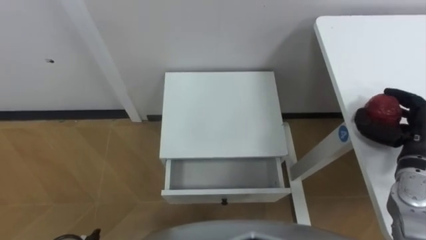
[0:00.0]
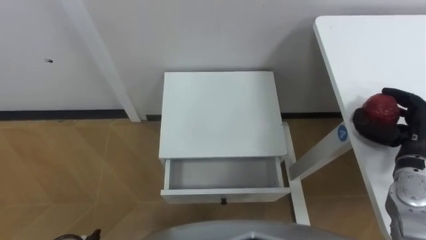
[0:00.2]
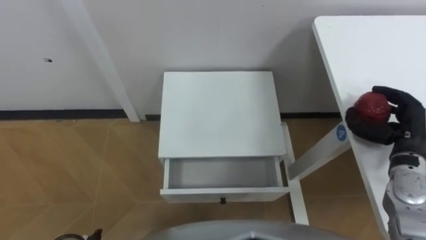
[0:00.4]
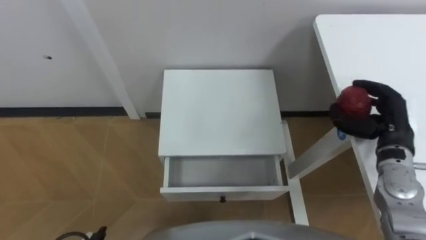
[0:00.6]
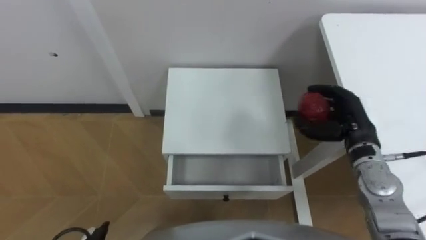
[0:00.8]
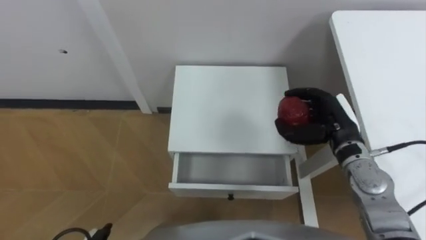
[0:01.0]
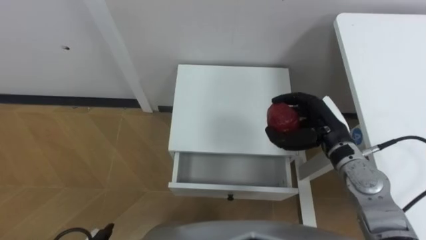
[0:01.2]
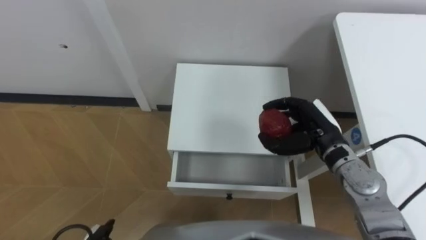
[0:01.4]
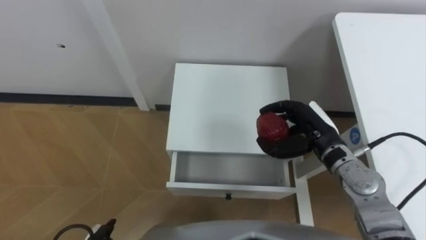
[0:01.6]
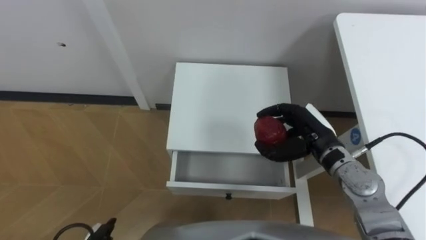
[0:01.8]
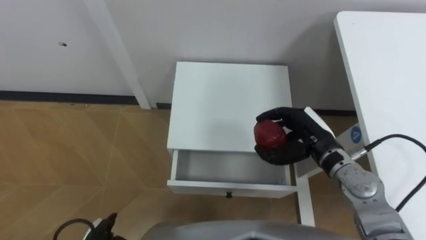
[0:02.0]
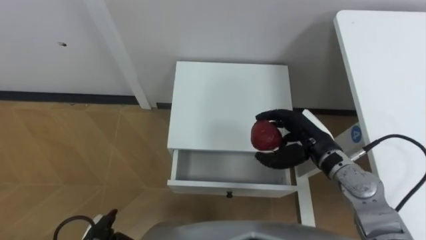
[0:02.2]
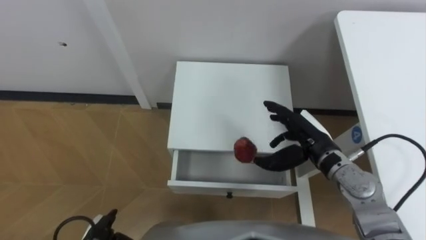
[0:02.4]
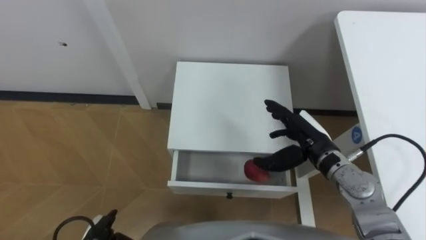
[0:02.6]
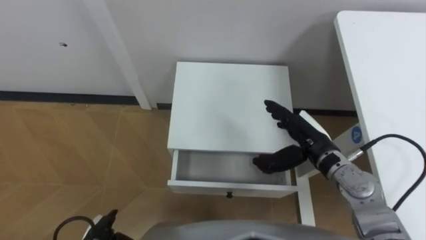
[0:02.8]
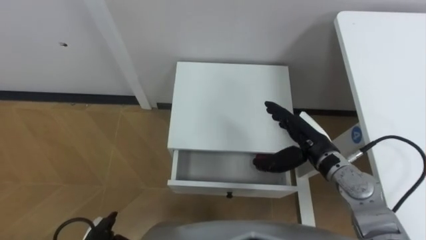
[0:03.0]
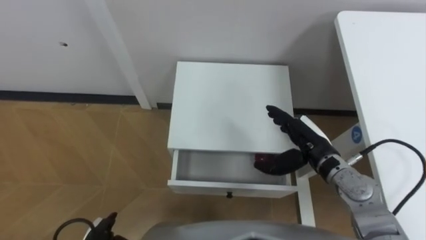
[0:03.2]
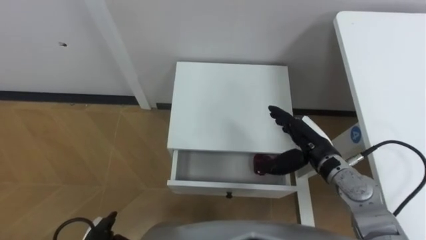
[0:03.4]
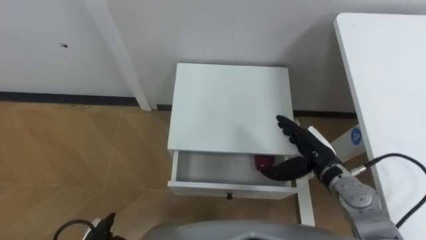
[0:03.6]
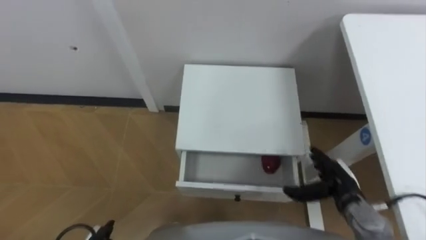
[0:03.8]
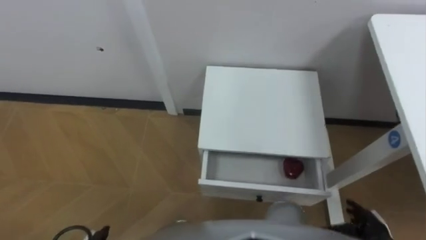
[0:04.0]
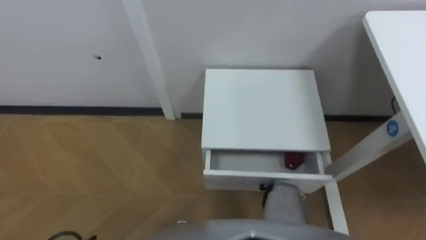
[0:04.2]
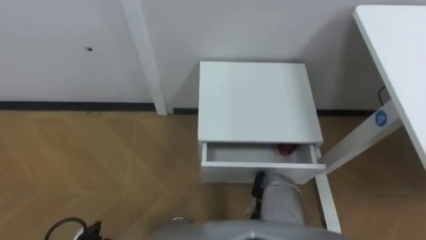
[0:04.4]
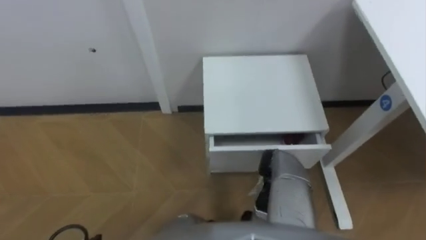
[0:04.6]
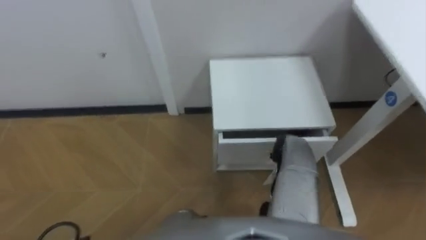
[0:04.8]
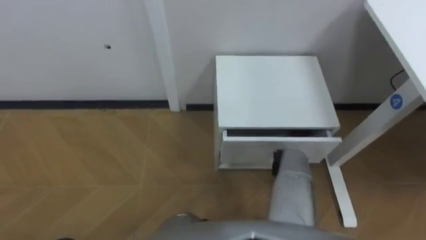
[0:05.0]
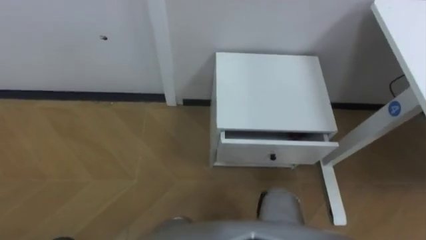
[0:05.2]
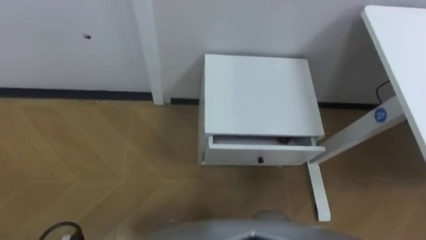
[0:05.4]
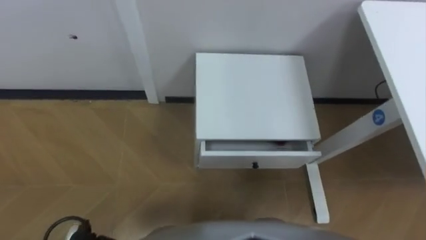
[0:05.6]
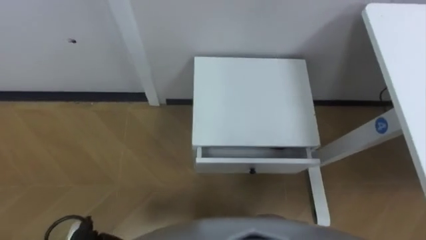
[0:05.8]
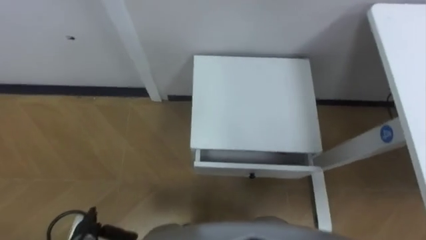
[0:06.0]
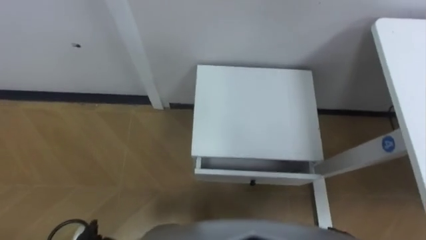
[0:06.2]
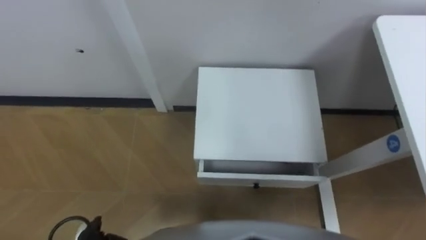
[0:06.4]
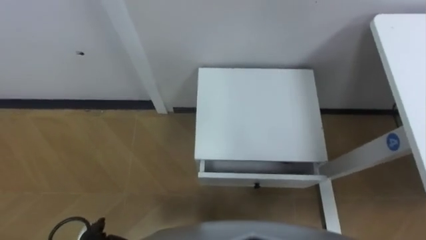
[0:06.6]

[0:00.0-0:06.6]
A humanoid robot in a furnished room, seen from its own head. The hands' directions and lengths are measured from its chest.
Task of the whole recording: Pick up the apple from the table, put it in the drawer, and close the drawer with leg.
0:00.0 to 0:01.6: The right hand shifts some 15 cm to the left.
0:01.6 to 0:03.2: The right hand opens up.

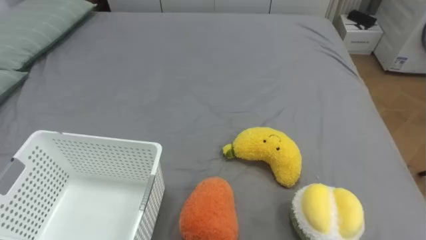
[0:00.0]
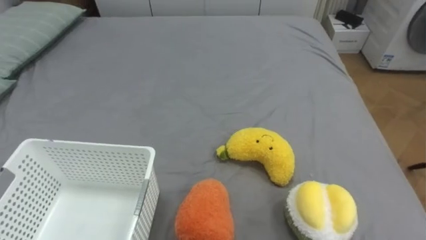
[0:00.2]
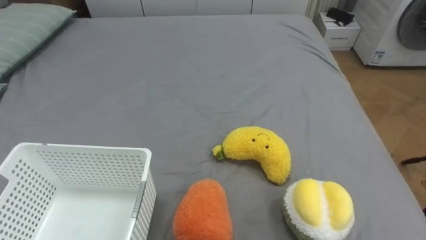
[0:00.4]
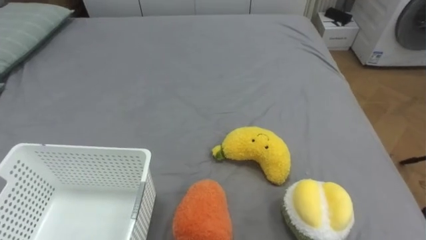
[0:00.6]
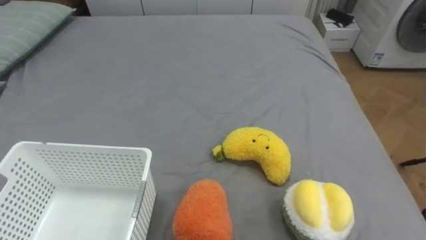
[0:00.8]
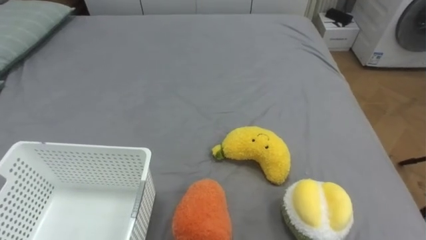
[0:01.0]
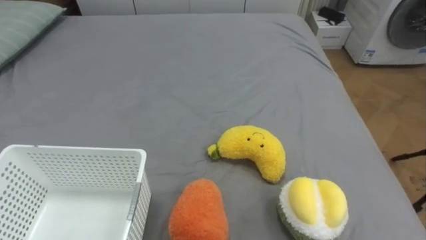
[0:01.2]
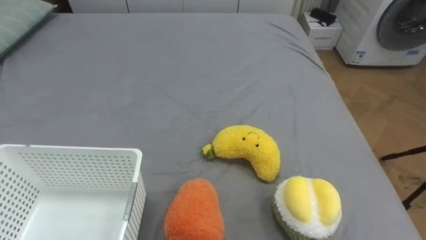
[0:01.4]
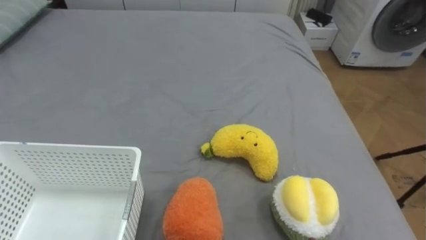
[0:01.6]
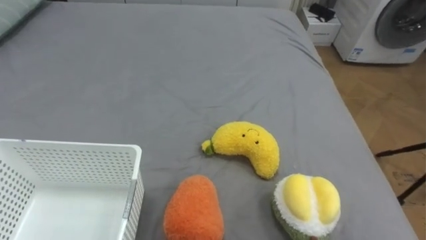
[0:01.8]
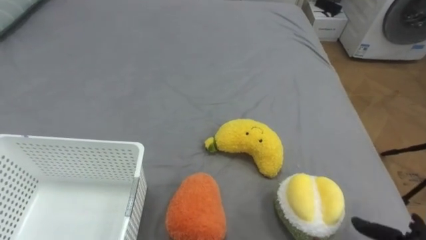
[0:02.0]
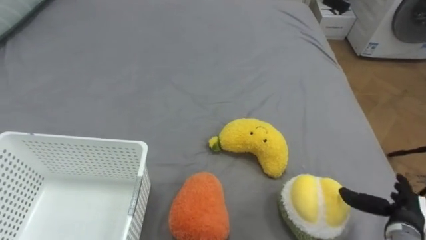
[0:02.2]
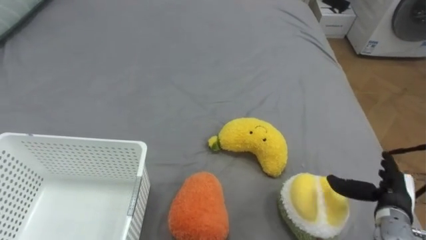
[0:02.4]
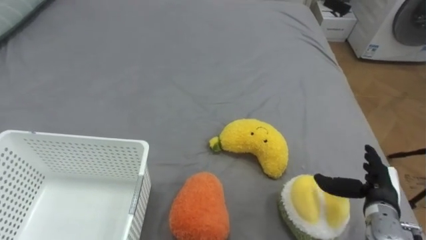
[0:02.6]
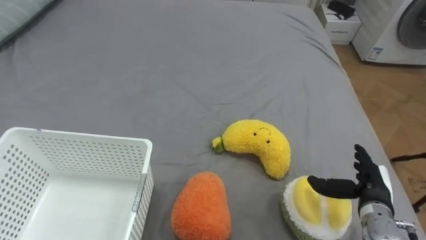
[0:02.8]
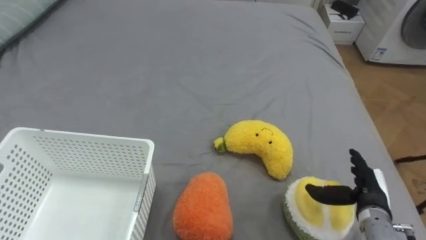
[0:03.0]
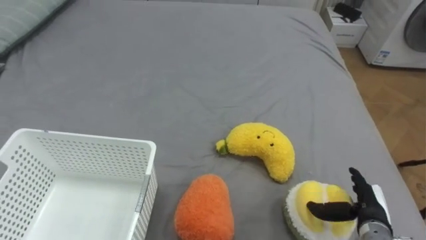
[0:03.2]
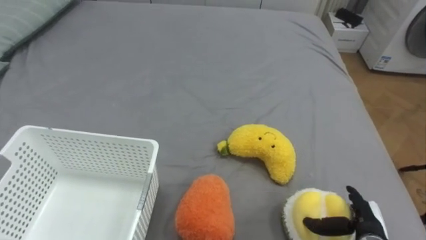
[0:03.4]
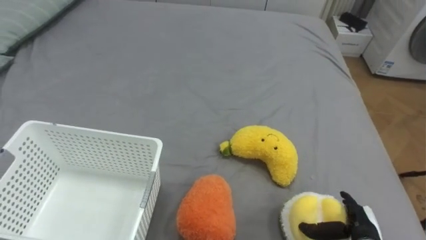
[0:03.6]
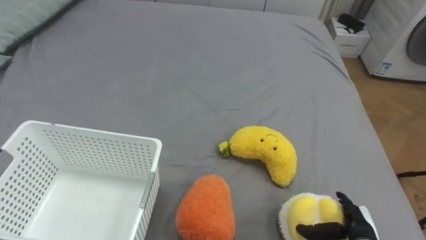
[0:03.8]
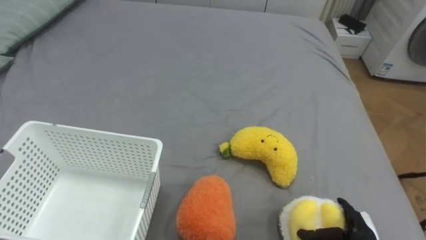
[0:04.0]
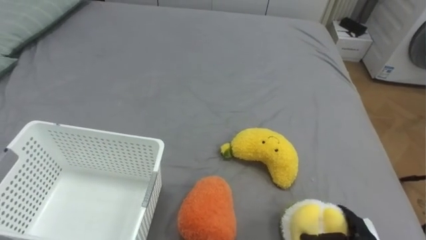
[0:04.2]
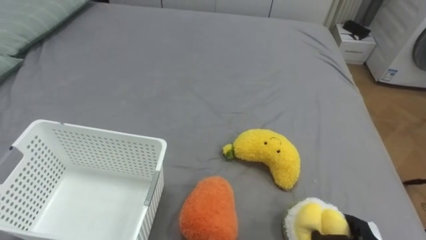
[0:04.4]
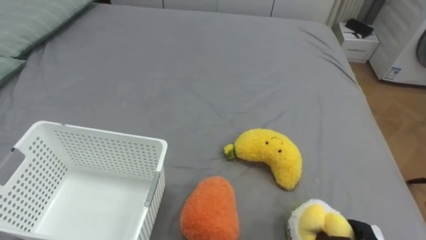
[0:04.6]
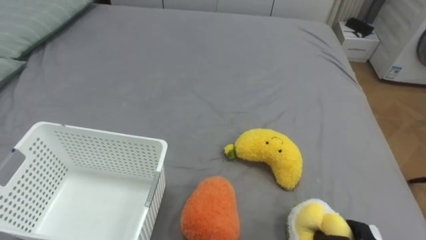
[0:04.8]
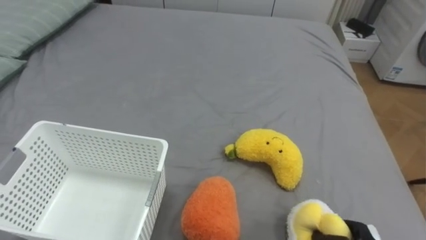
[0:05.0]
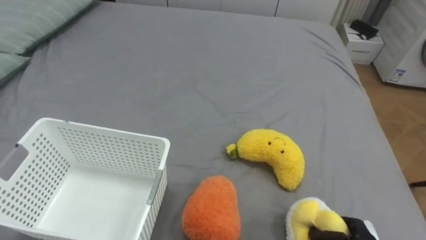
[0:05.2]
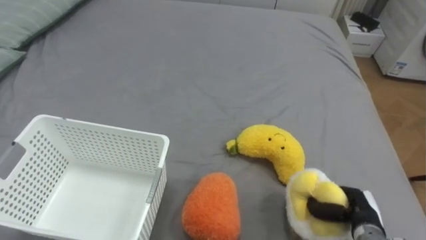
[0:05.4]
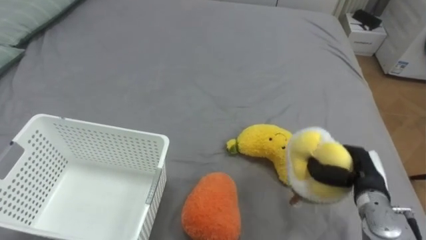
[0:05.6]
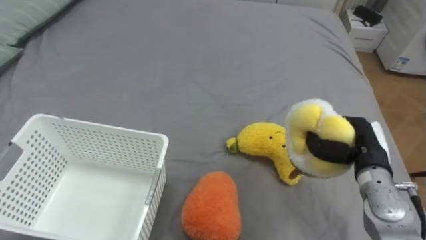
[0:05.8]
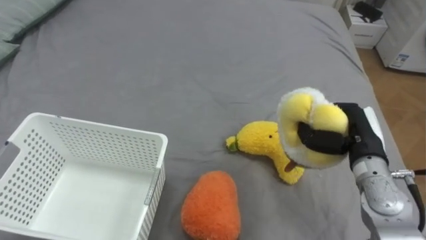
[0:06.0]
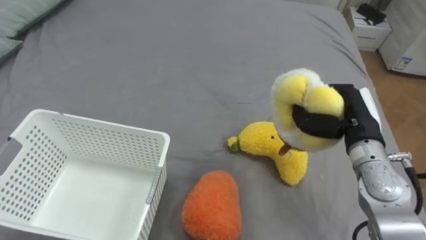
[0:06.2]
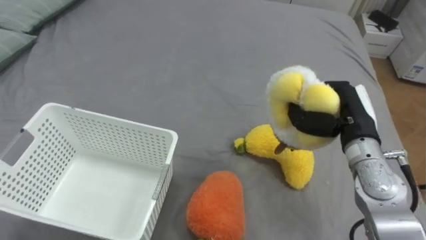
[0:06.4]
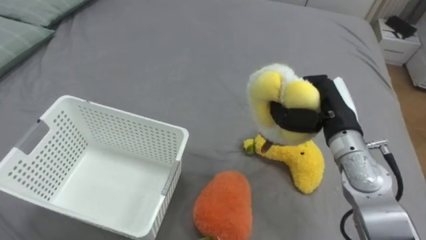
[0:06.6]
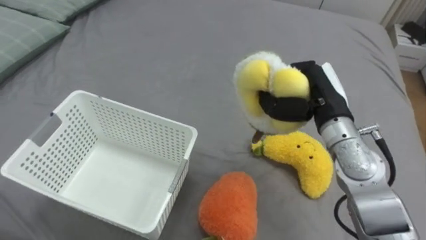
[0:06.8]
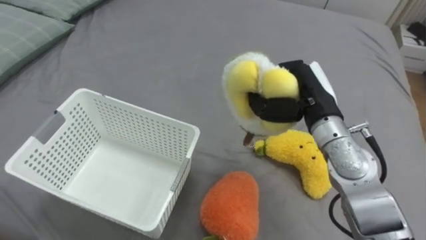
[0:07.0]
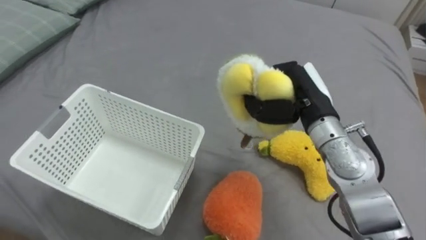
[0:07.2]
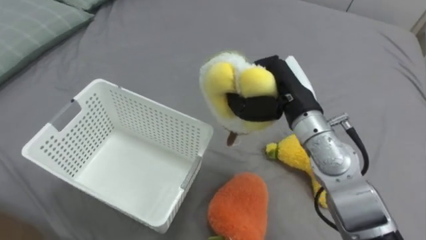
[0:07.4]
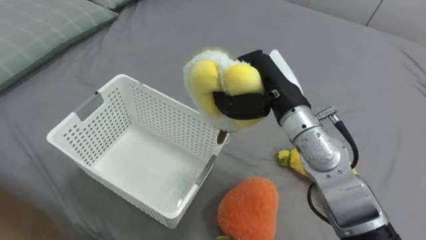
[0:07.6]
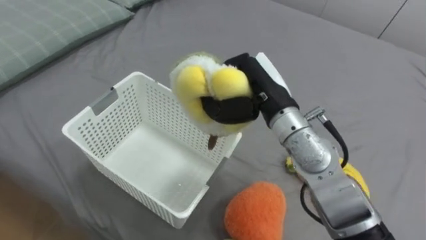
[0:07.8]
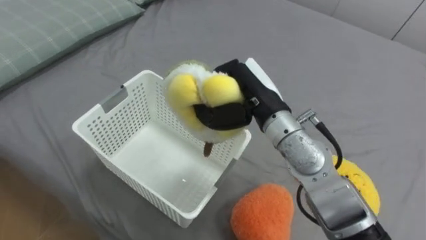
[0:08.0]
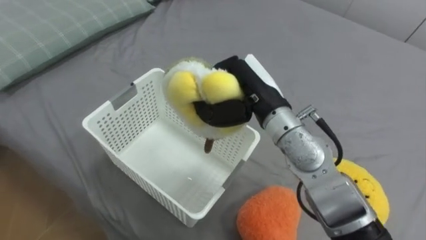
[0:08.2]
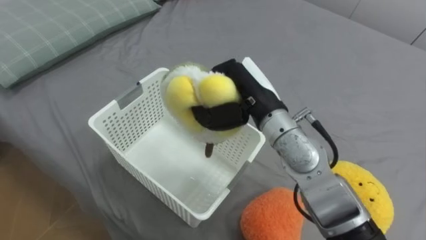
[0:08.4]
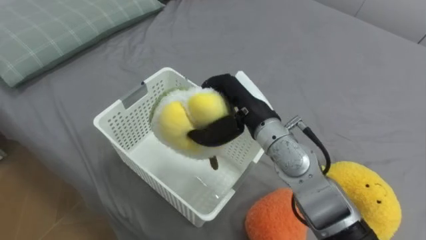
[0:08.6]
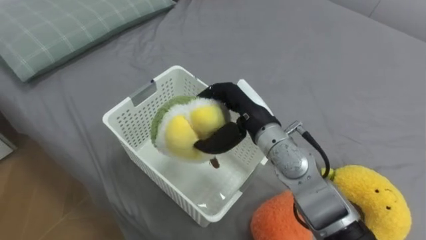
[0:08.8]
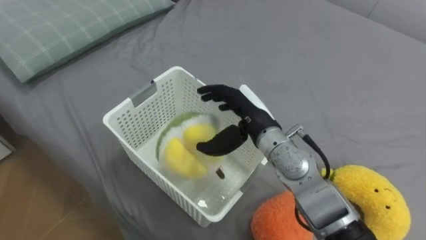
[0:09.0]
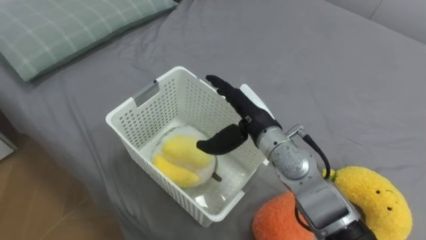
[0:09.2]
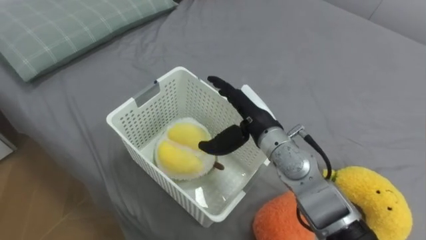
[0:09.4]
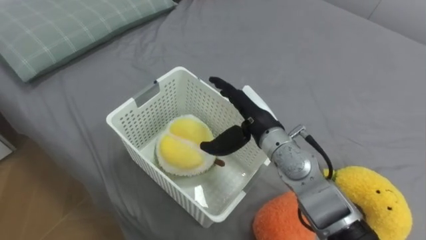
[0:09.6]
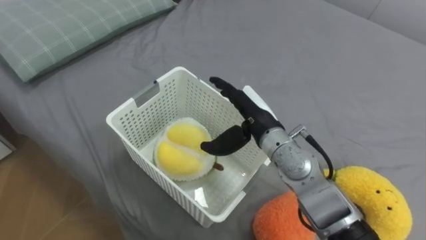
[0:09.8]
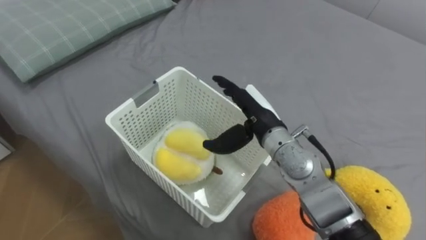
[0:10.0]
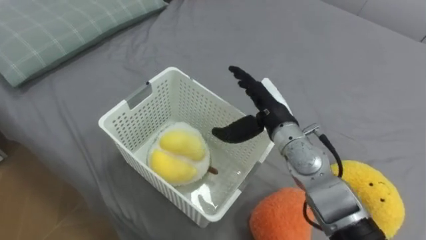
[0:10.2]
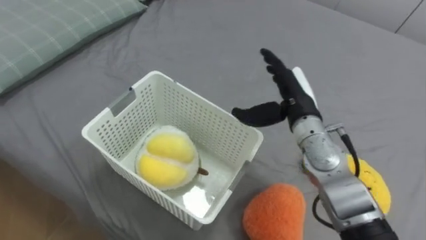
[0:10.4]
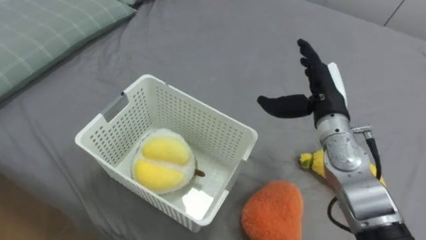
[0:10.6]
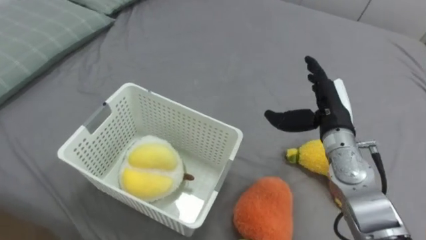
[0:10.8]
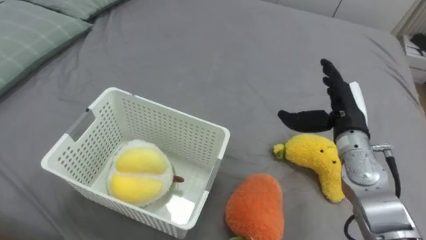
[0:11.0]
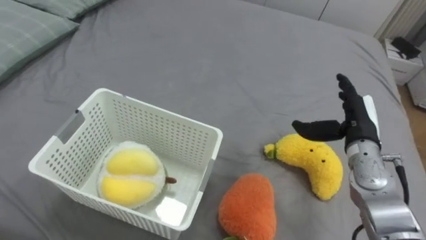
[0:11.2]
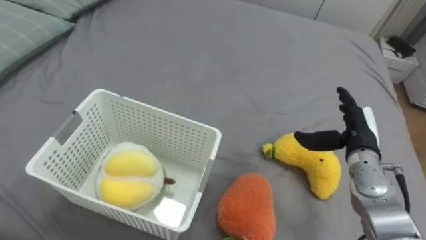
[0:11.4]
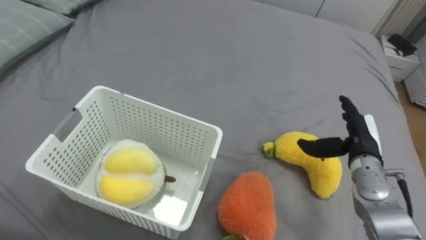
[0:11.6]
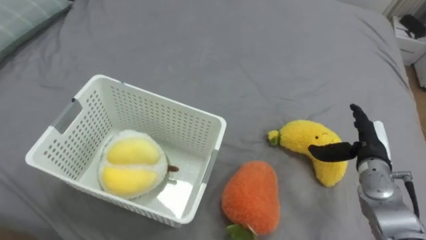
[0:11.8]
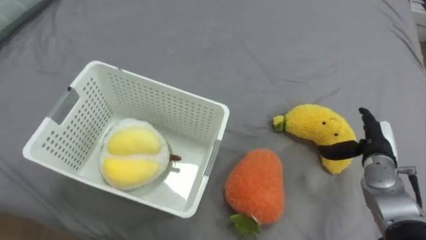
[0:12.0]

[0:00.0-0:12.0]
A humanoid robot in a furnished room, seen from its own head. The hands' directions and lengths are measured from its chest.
Task of the whole recording: Put the toys on the bed into the basket on the left.
0:06.0 to 0:07.6: The right hand heads to the left and upward, covering about 20 cm.
0:07.6 to 0:09.0: The right hand moves downward, approximately 5 cm, and opens its fingers.
0:09.0 to 0:10.4: The right hand moves to the right, roughly 10 cm.
0:10.4 to 0:12.0: The right hand moves to the right and downward, roughly 20 cm.
